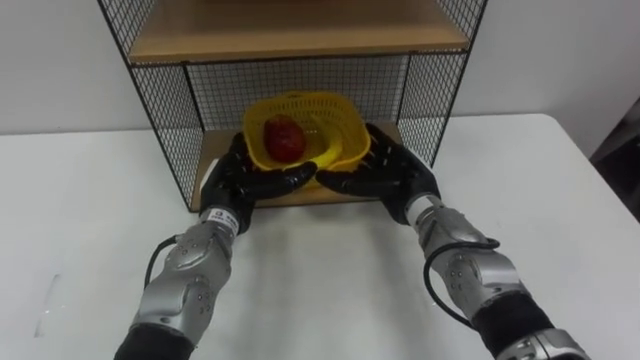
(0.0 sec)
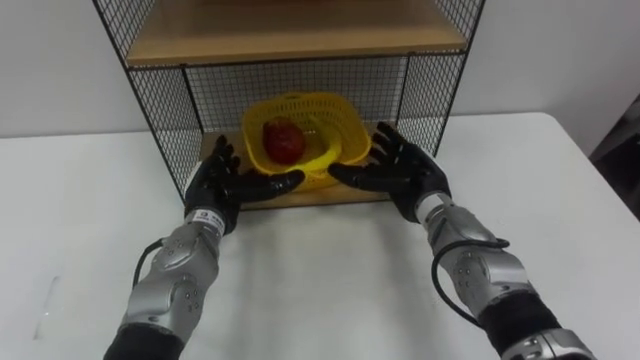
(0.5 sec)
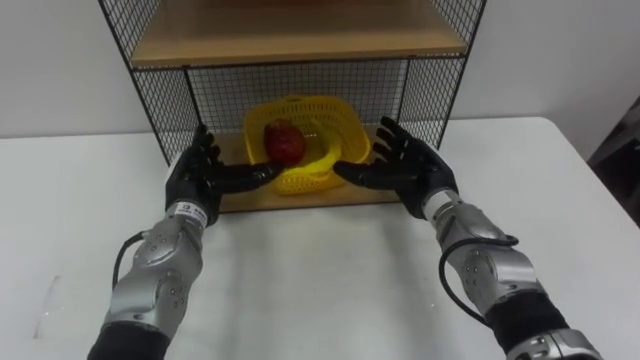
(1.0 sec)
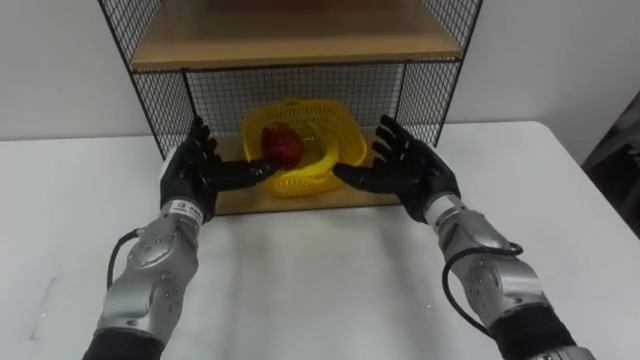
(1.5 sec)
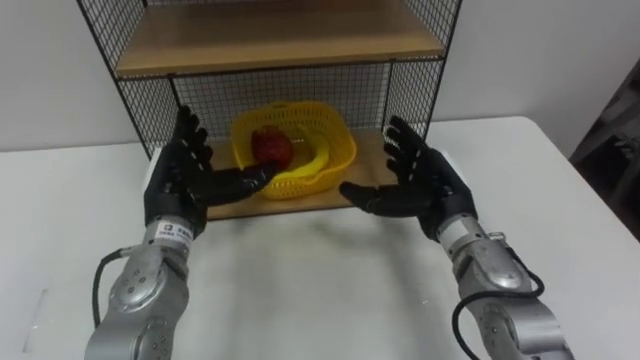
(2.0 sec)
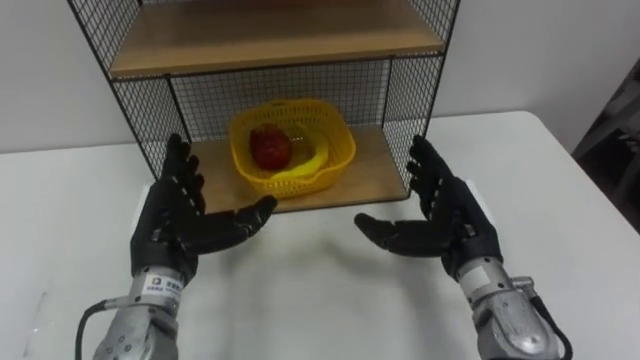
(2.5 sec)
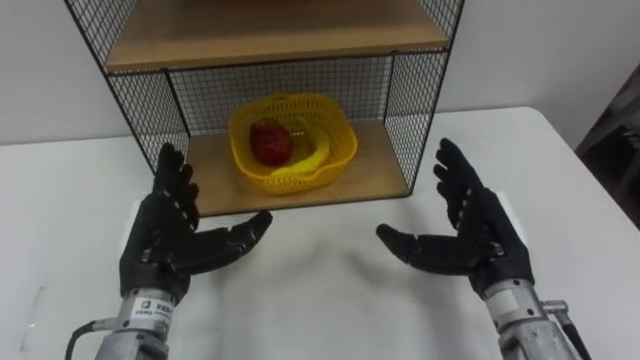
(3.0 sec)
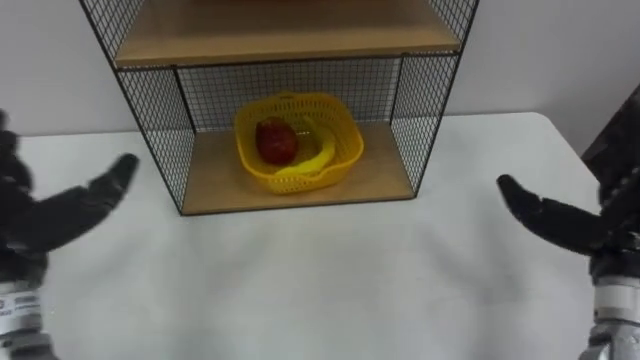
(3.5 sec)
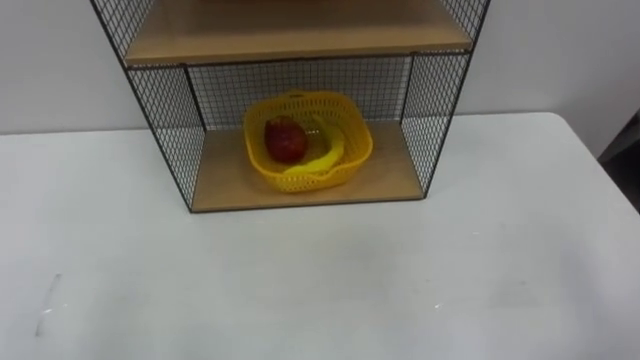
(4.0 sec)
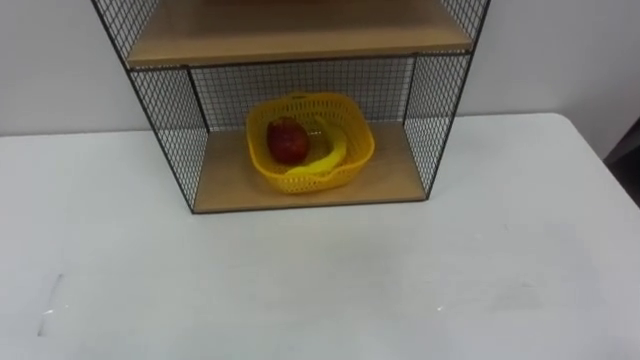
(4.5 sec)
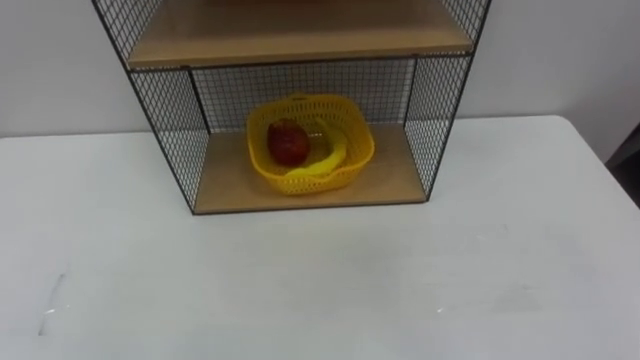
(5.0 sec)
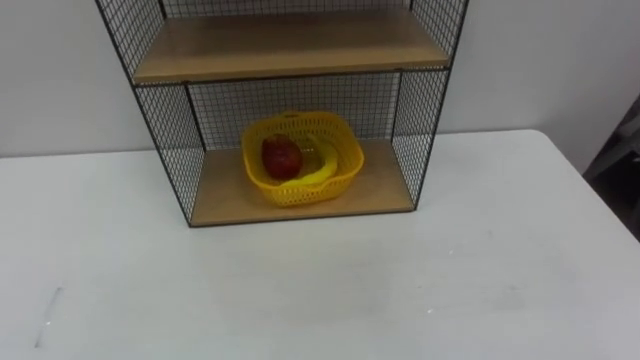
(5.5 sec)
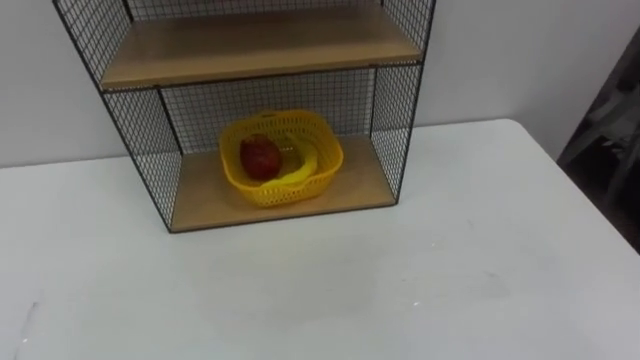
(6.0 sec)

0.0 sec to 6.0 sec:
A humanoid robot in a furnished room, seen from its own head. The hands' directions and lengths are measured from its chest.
Task of the whole recording: Put the fruit on the table into the basket, then place the basket on the shelf.
0.0 sec to 2.0 sec: The left hand shifts about 10 cm to the left and upward; the right hand moves some 5 cm.

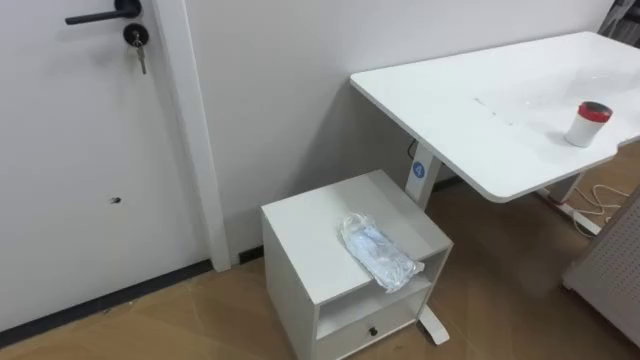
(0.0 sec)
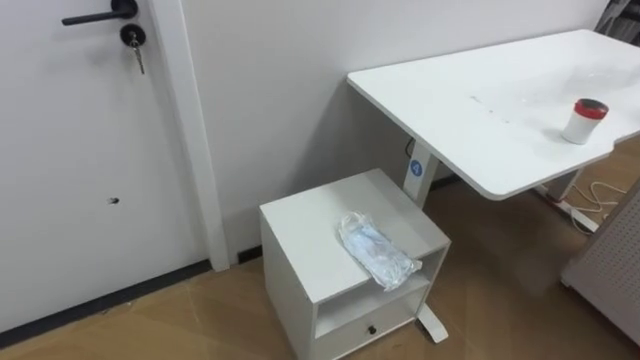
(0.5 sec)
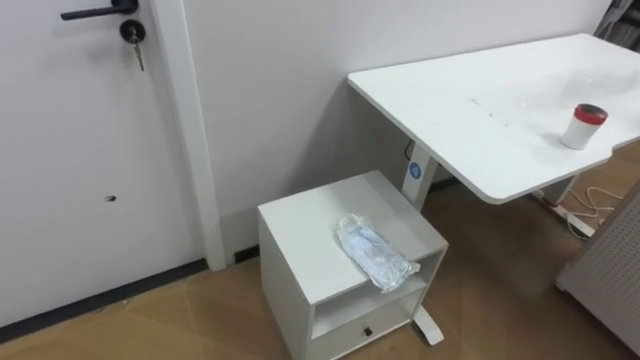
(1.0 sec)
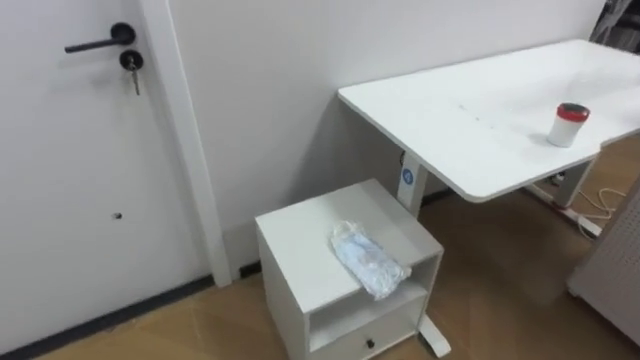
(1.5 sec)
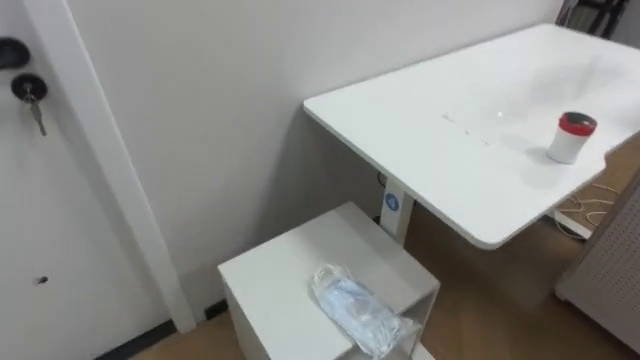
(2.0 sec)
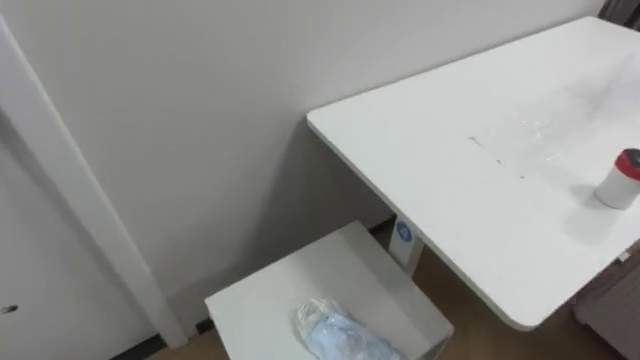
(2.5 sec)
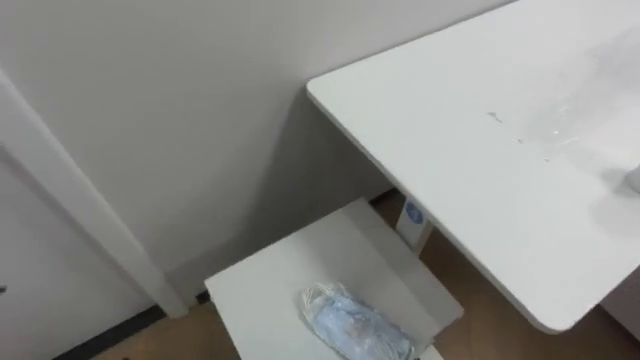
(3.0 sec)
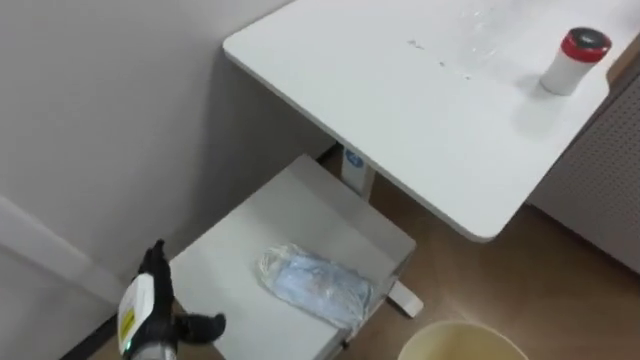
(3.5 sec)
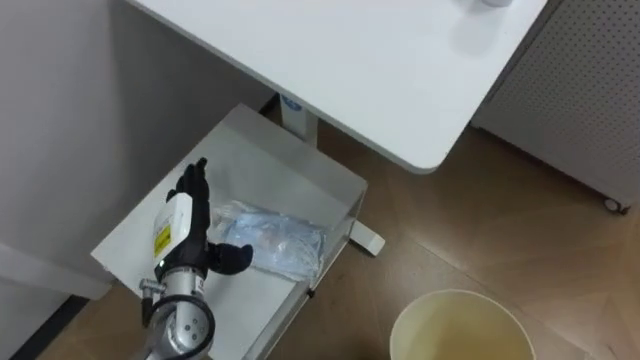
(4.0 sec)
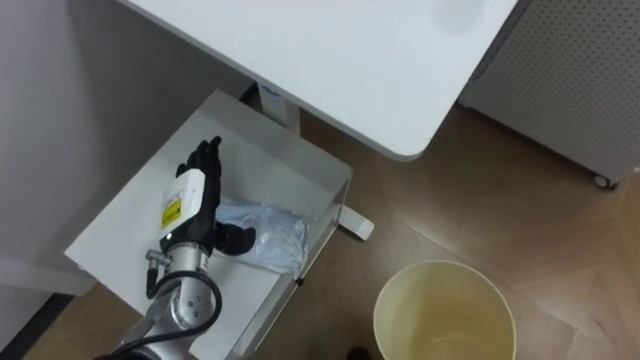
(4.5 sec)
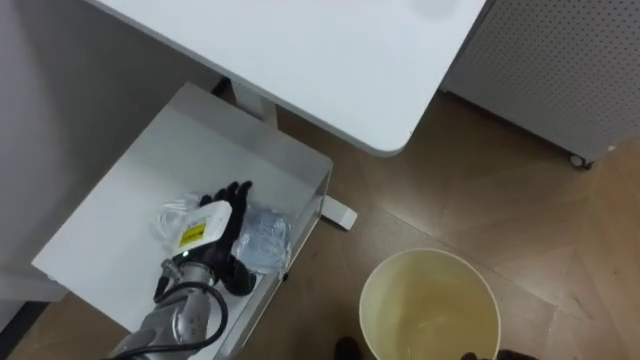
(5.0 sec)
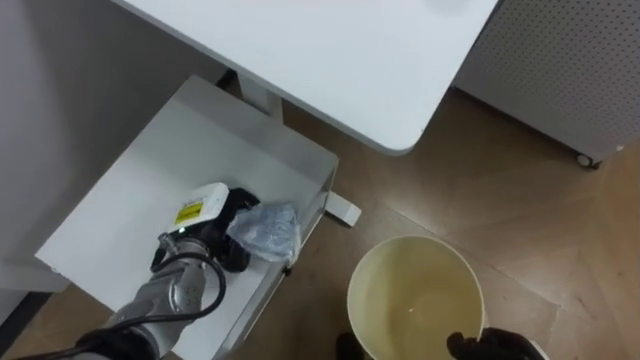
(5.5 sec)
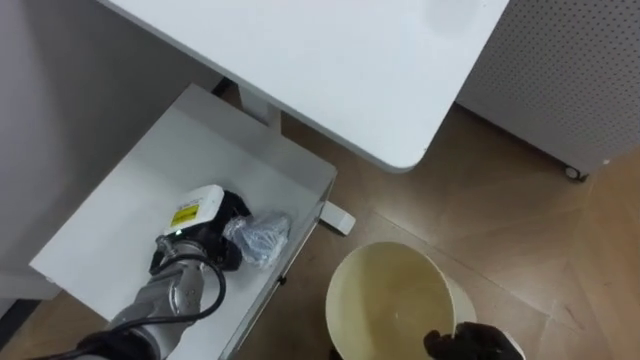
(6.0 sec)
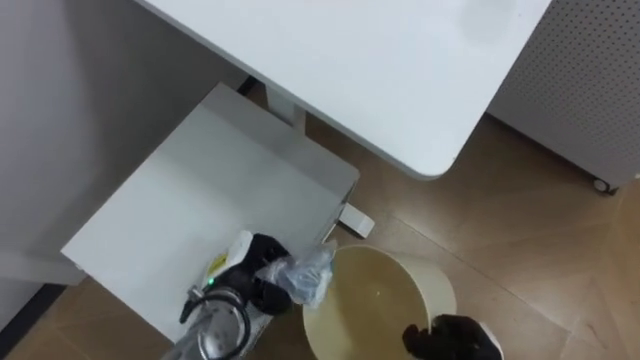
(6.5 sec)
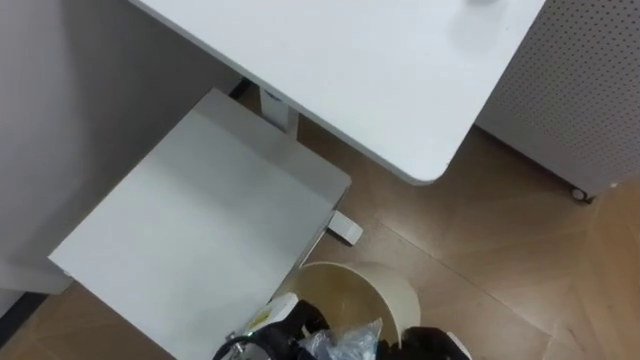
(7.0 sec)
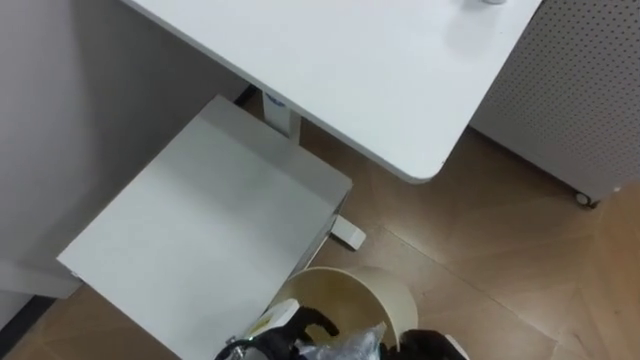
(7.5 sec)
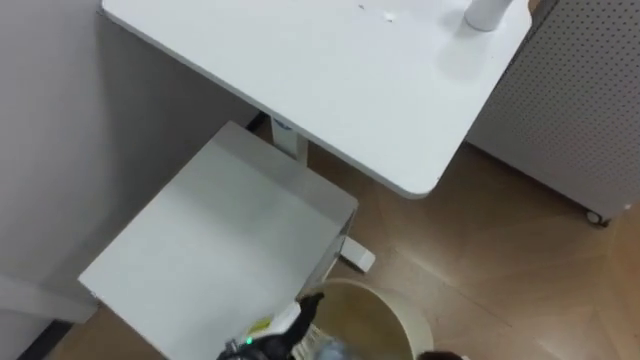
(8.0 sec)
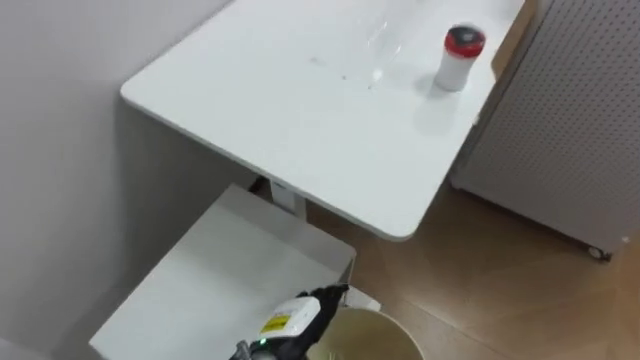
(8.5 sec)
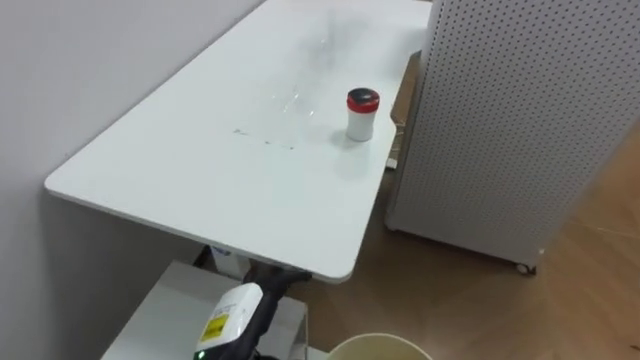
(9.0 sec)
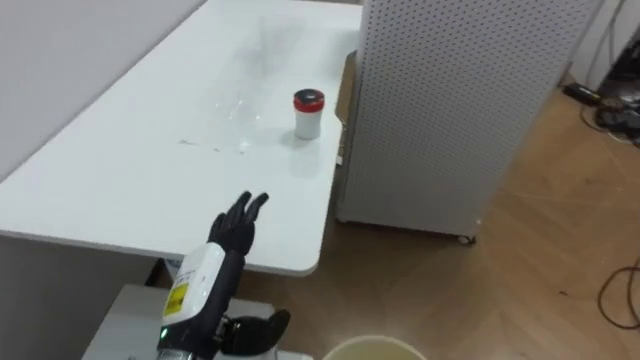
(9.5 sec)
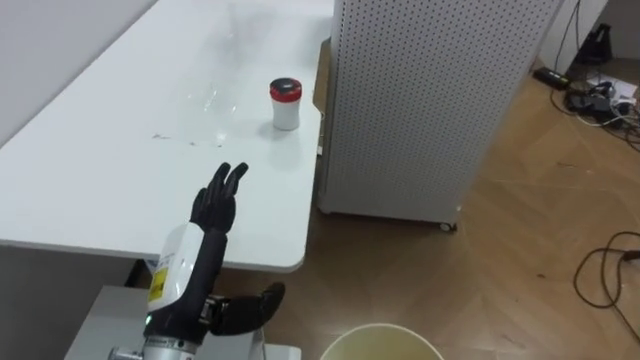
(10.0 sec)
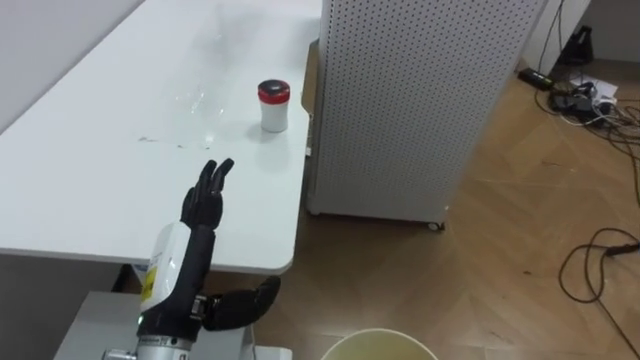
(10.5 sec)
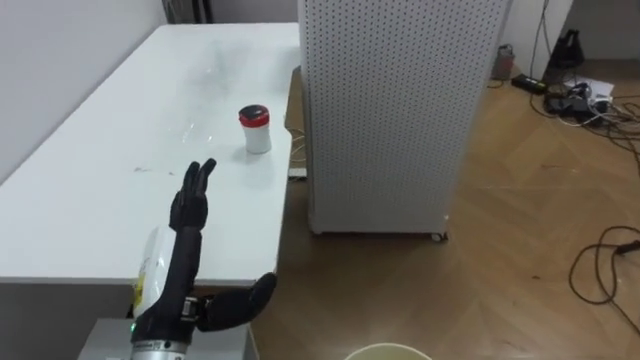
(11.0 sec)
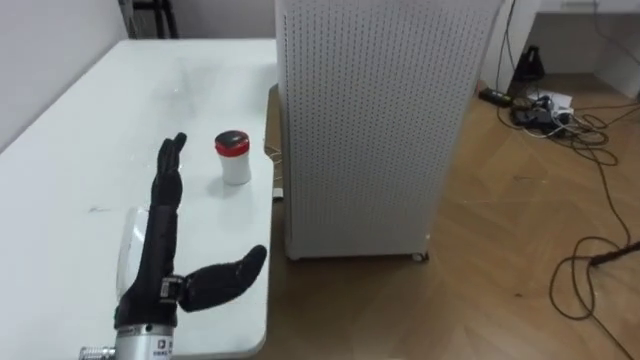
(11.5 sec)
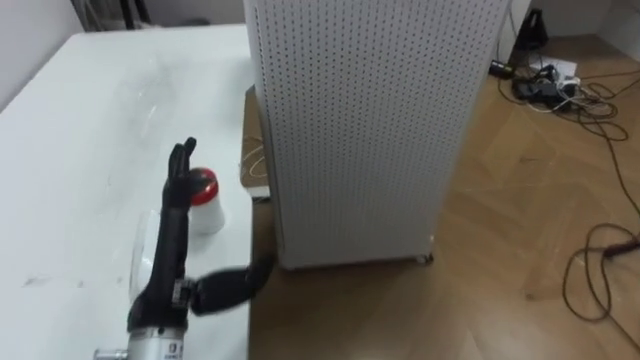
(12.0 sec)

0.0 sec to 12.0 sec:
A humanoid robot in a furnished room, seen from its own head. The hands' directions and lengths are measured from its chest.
Task of the whole recording: Pick up the light blue package, the candy box, and the dark blue package separately, and put them into the trash can held in your right hand.
4.0 sec to 6.0 sec: The left hand closes its fingers.
6.0 sec to 8.0 sec: The left hand moves downward, to the right and backward, approximately 20 cm, and opens.
8.0 sec to 10.0 sec: The robot faces some 40 degrees further to its right. The left hand goes roughly 20 cm upward and to the left.
10.0 sec to 12.0 sec: The robot rotates some 15 degrees to its right.

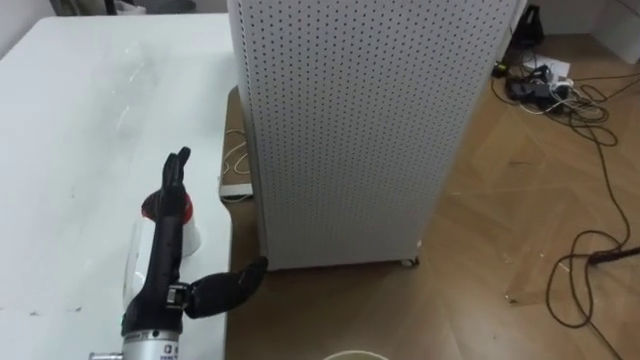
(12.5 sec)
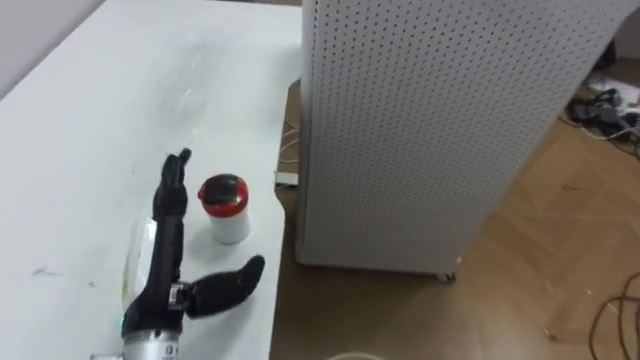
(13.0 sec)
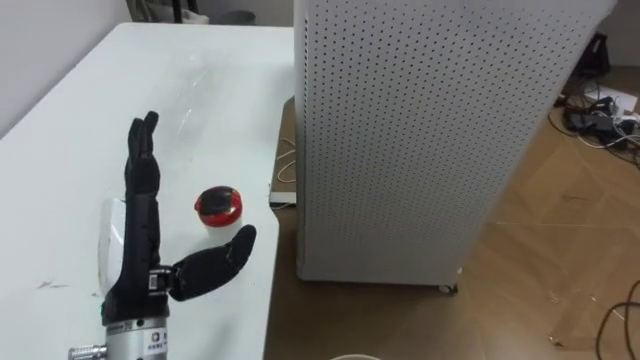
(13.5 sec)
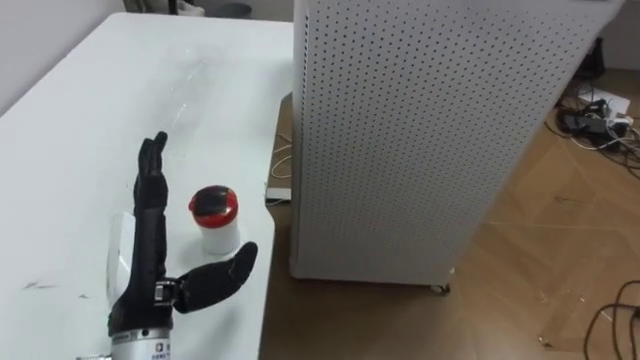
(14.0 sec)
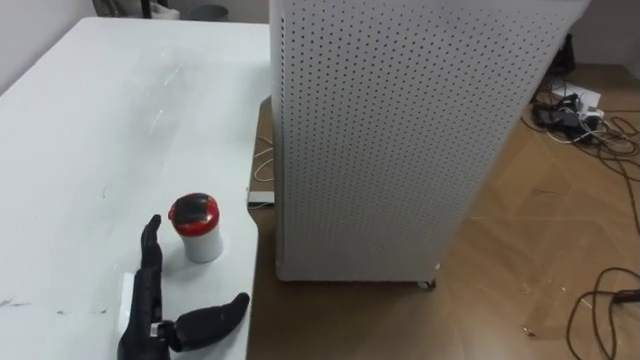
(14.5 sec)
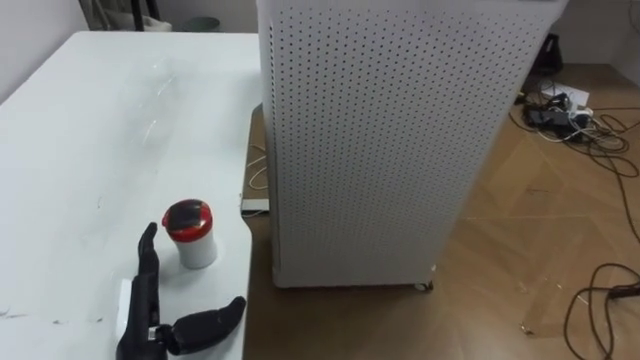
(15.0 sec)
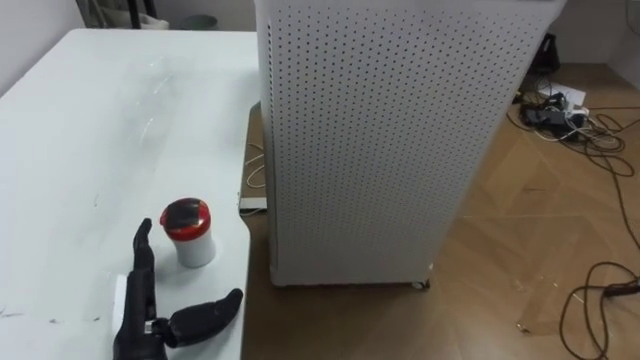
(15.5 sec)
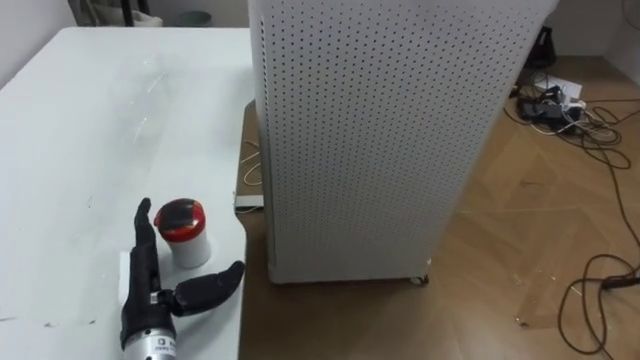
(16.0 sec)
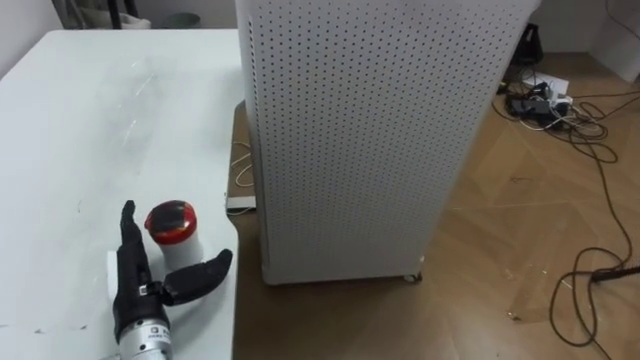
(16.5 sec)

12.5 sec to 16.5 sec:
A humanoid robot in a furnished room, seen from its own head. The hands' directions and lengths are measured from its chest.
Task of the whole recording: Pick up the light blue package, the candy box, and the dark blue package separately, and put them into the trash can held in your right hand.
12.5 sec to 14.5 sec: The left hand is displaced downward by approximately 10 cm.
